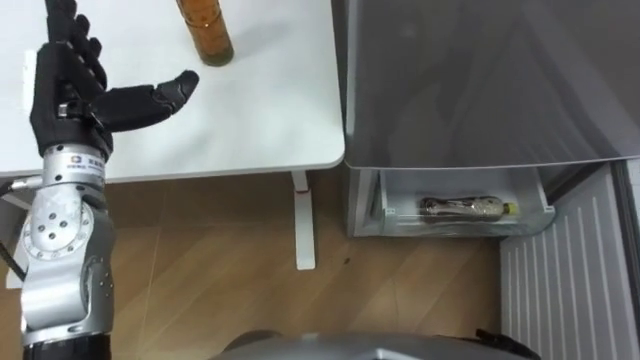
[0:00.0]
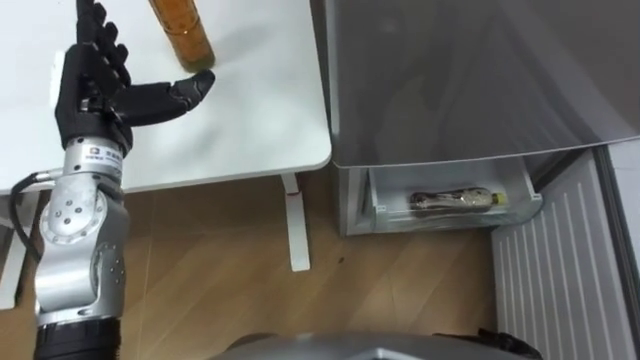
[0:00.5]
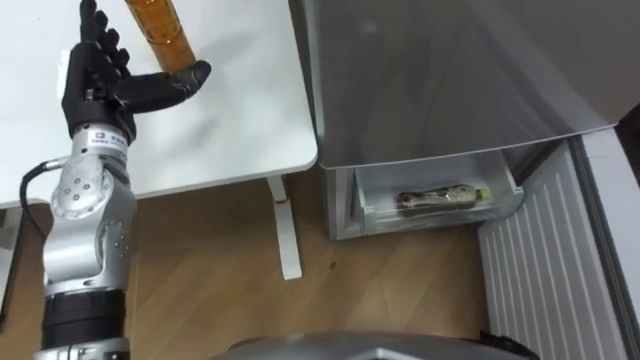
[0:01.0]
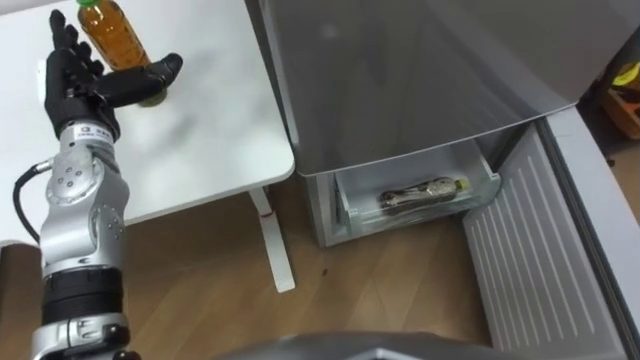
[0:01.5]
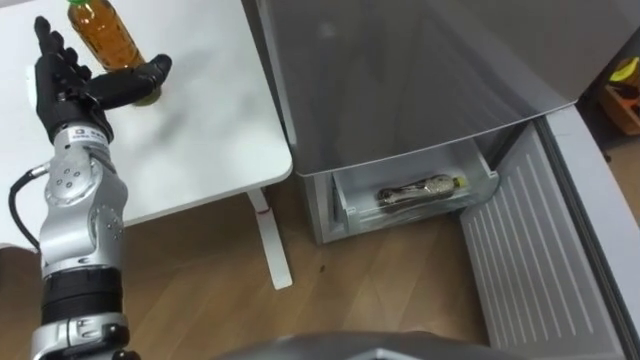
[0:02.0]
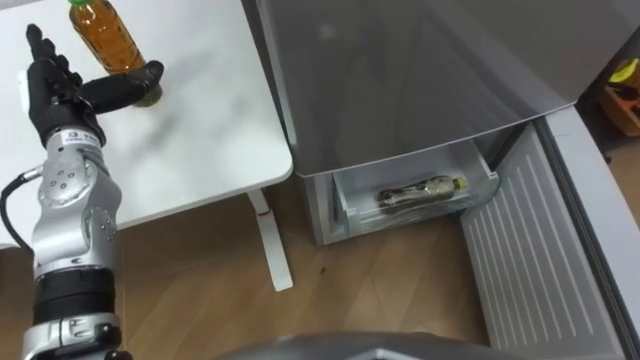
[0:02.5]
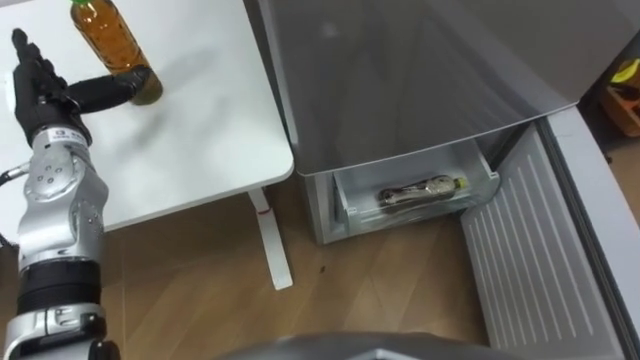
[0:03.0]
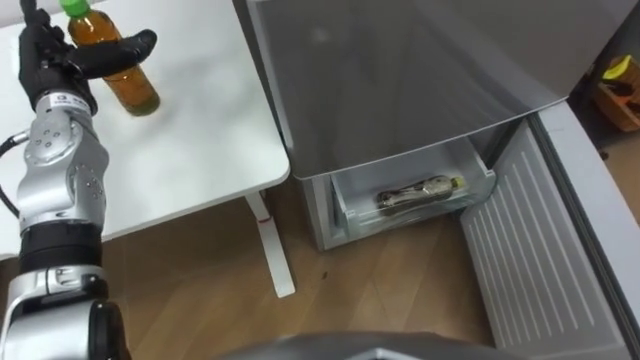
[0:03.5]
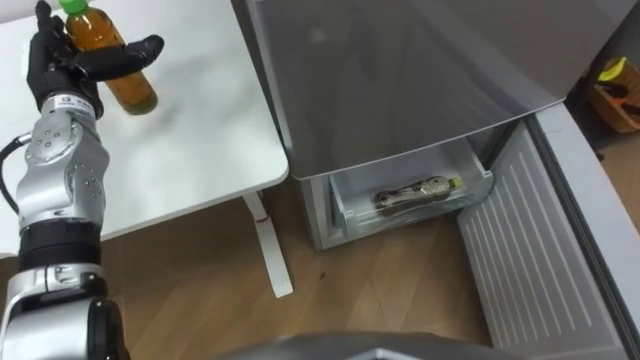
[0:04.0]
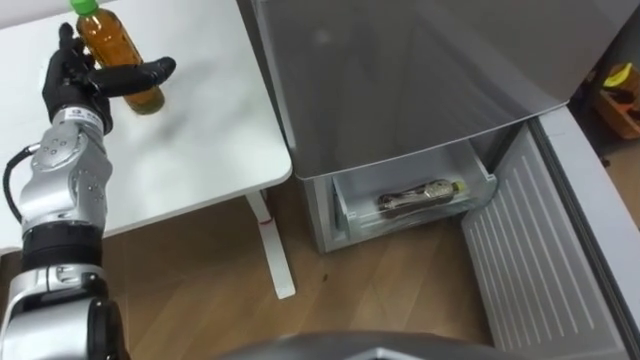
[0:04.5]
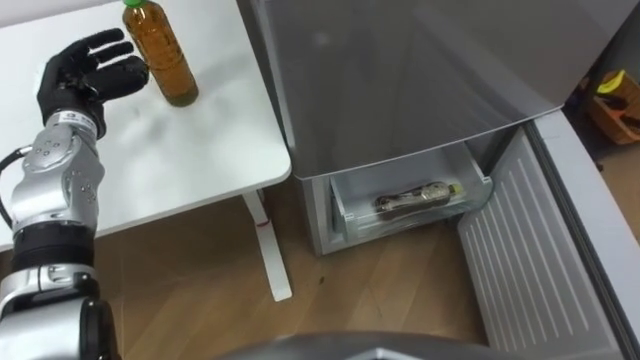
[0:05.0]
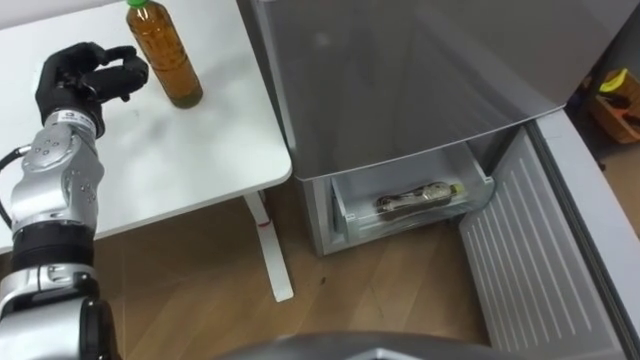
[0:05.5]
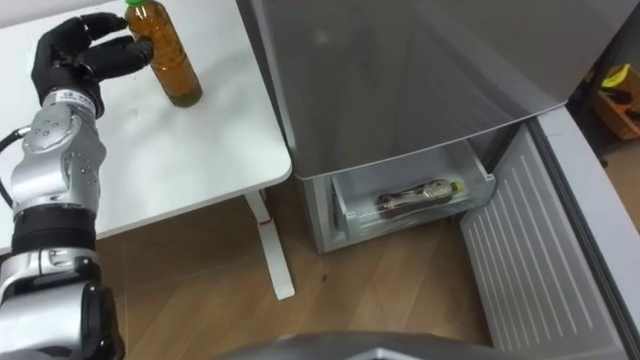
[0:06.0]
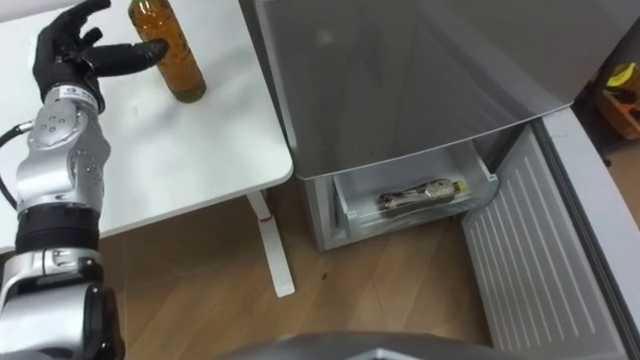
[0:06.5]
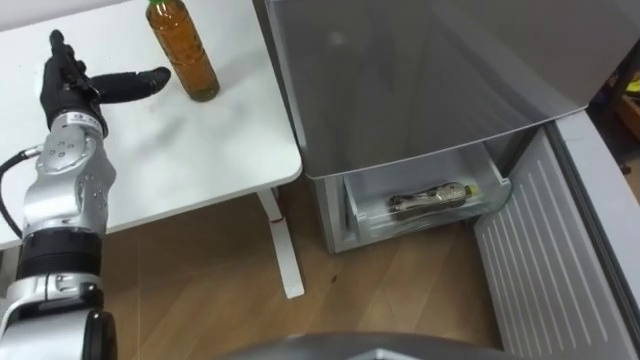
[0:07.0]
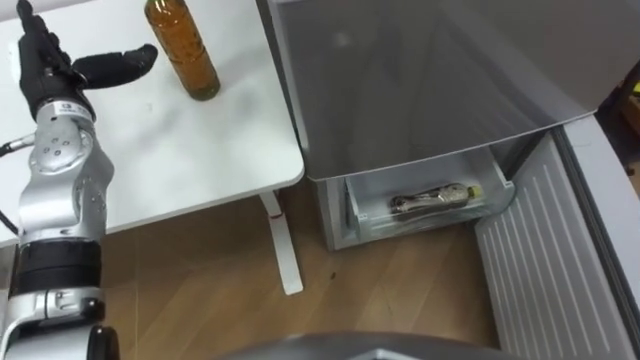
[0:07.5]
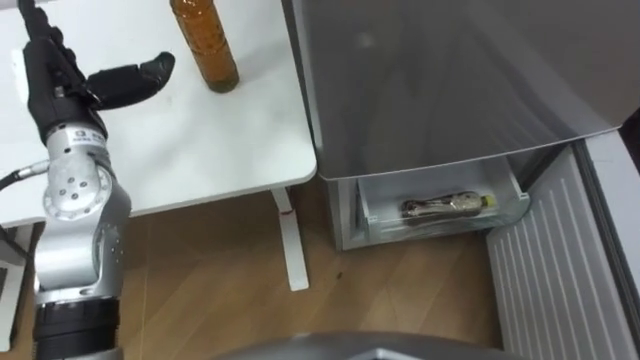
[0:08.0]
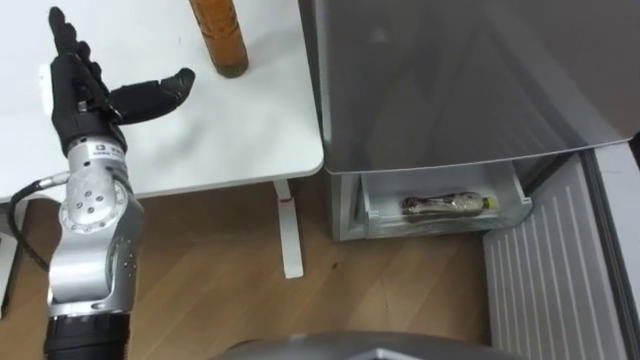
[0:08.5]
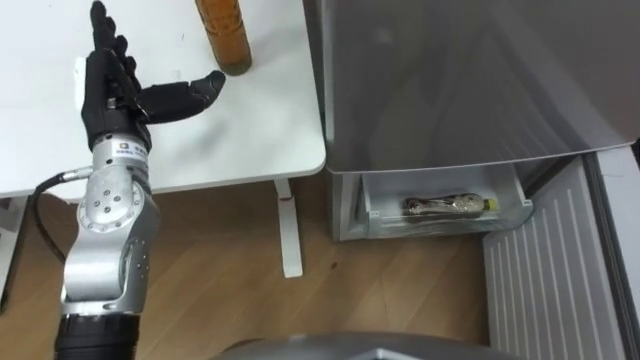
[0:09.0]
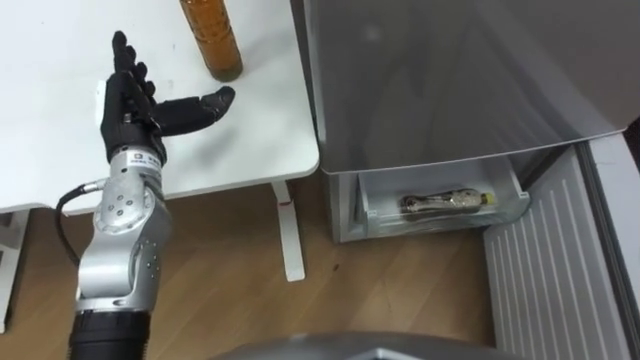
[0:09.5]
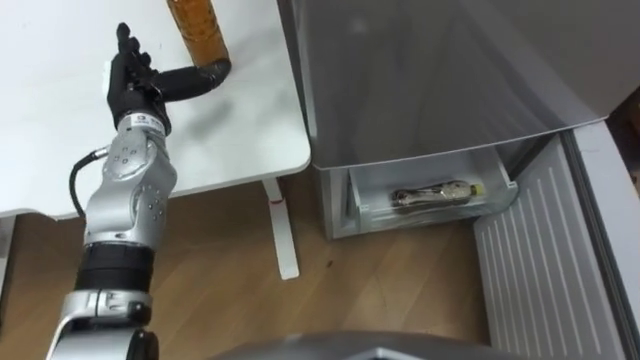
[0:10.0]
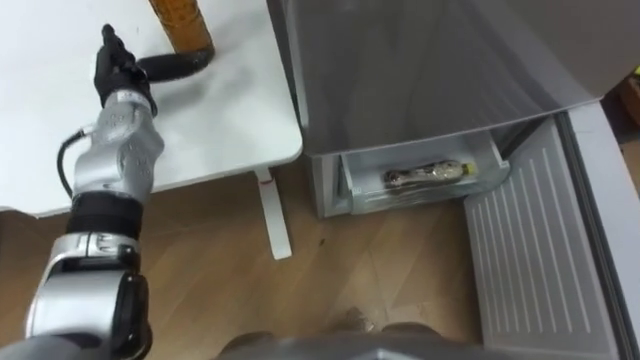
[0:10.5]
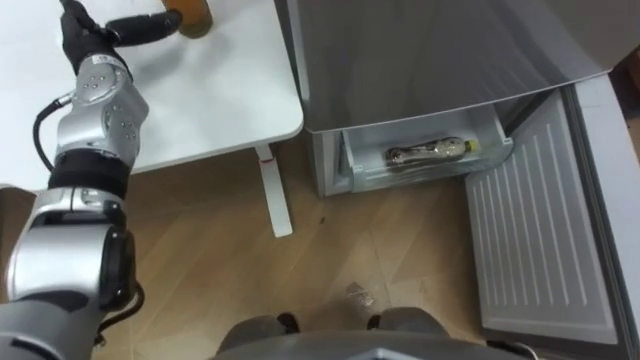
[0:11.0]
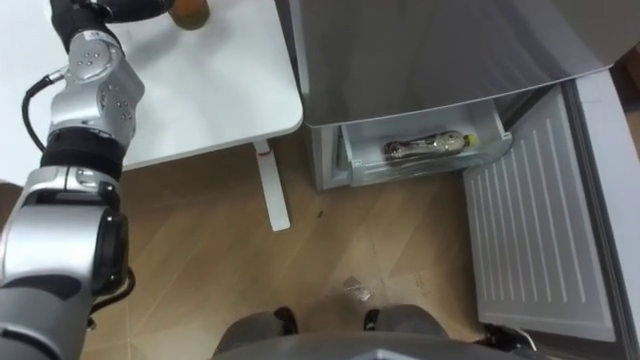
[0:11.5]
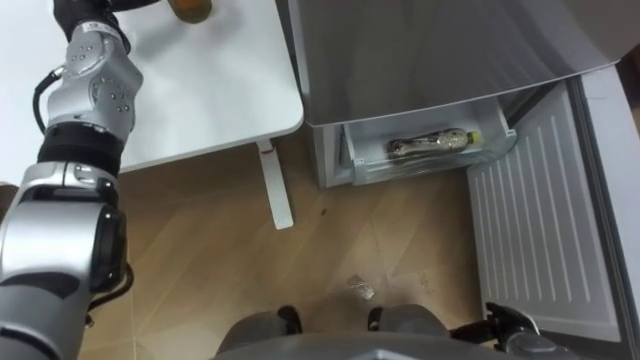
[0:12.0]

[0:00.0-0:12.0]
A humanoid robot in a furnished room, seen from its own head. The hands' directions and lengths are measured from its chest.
Task of the whole recording: Place the drink on the table on the bottom shelf of the refrigerator, then close the drawer and the refrigerator door.
0:00.0 to 0:02.0: The left hand changes place by about 5 cm.
0:04.0 to 0:06.0: The left hand closes its fingers.
0:06.0 to 0:08.0: The left hand goes roughly 5 cm backward, and opens up.
0:08.0 to 0:10.0: The left hand shifts approximately 10 cm downward and to the right.
0:10.0 to 0:12.0: The left hand is displaced forward and upward by approximately 10 cm.

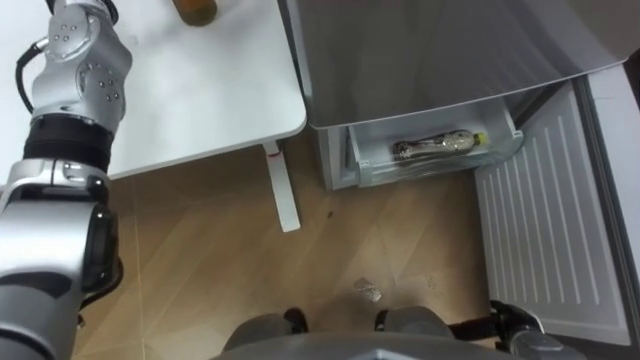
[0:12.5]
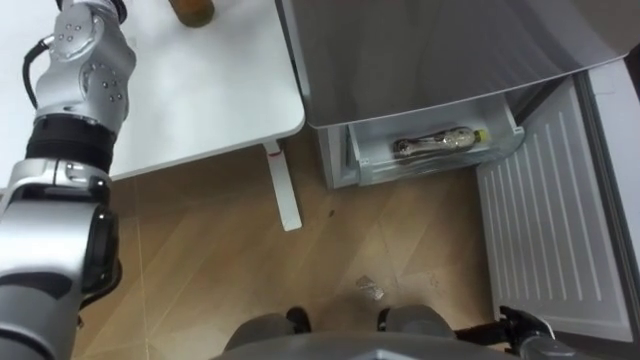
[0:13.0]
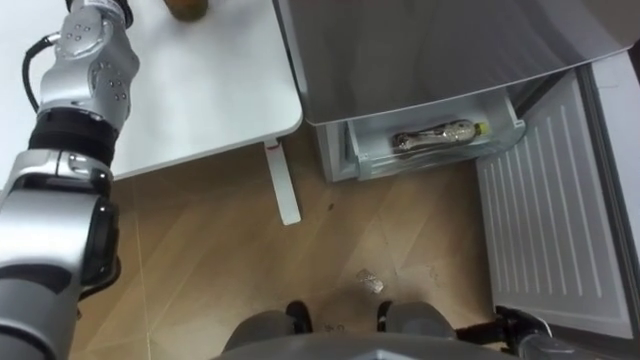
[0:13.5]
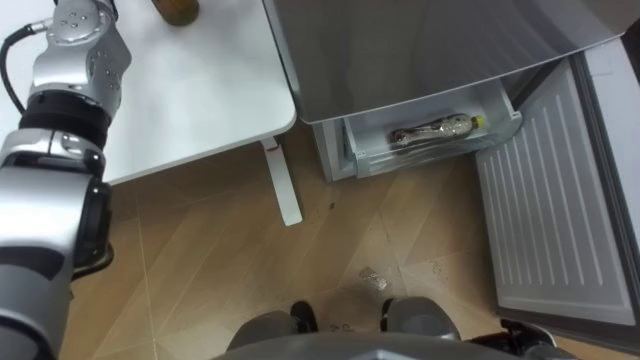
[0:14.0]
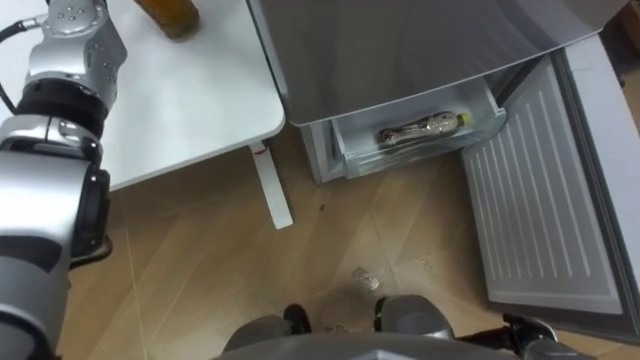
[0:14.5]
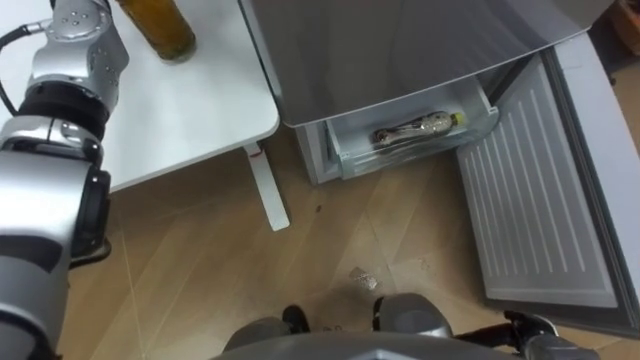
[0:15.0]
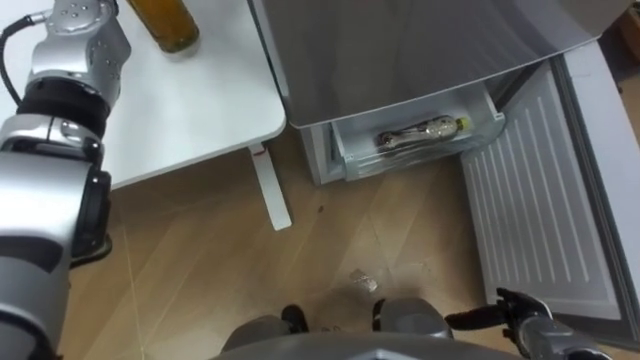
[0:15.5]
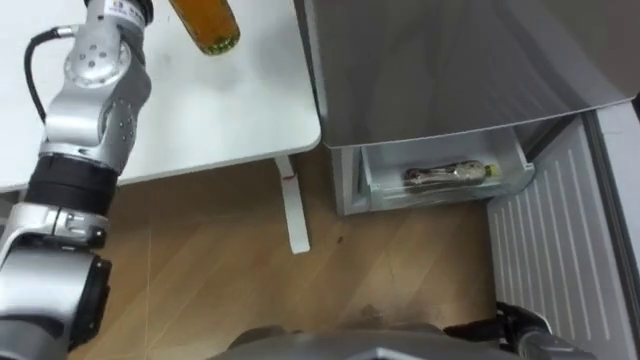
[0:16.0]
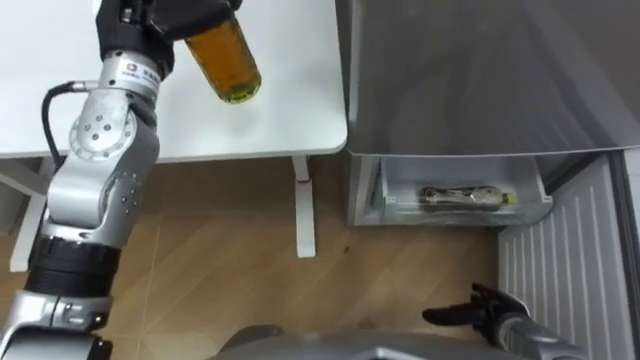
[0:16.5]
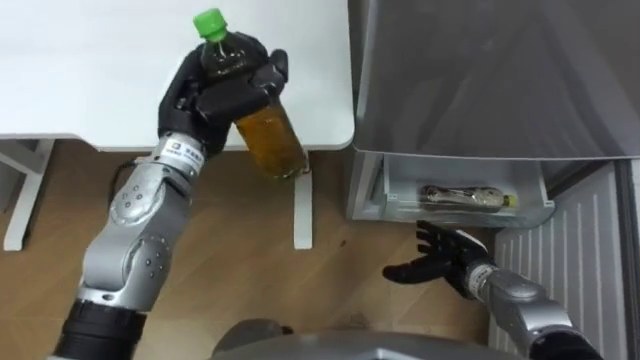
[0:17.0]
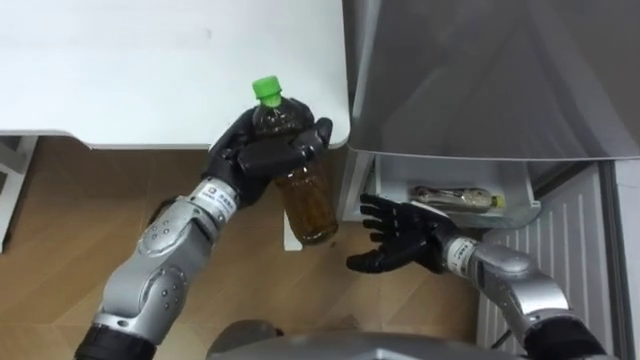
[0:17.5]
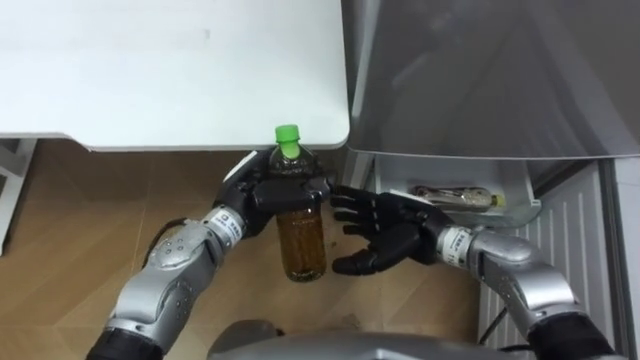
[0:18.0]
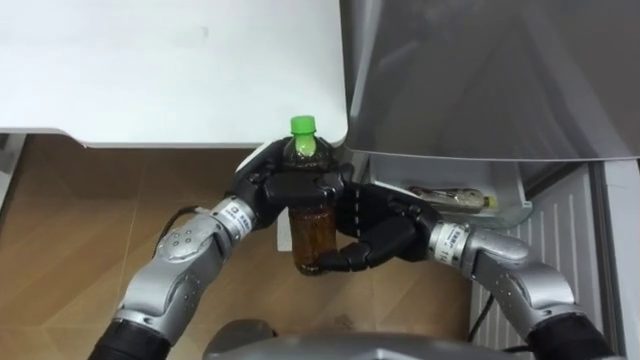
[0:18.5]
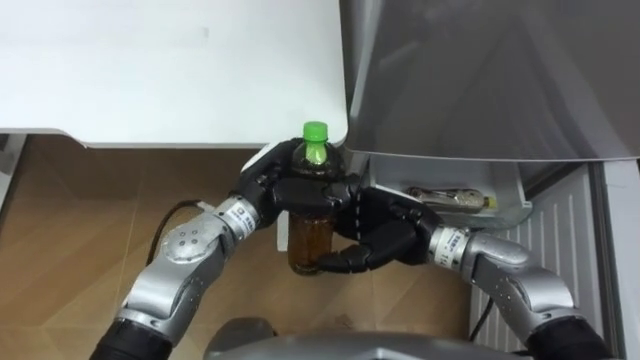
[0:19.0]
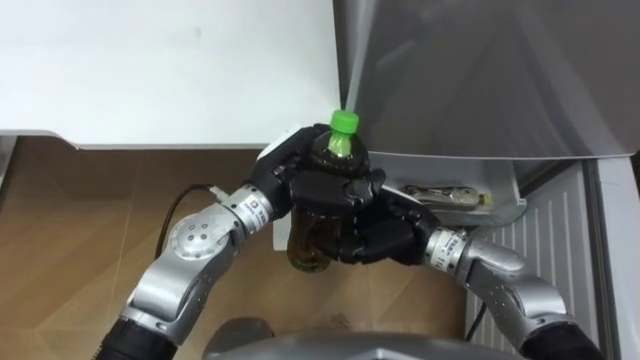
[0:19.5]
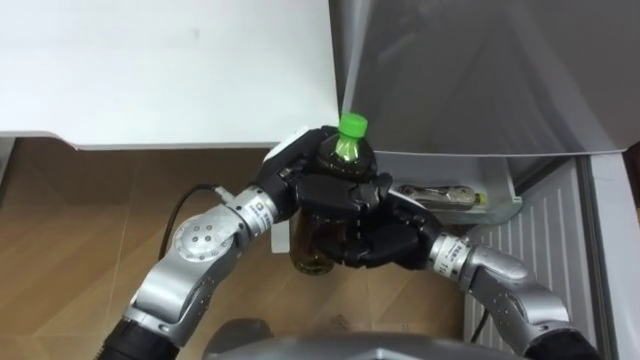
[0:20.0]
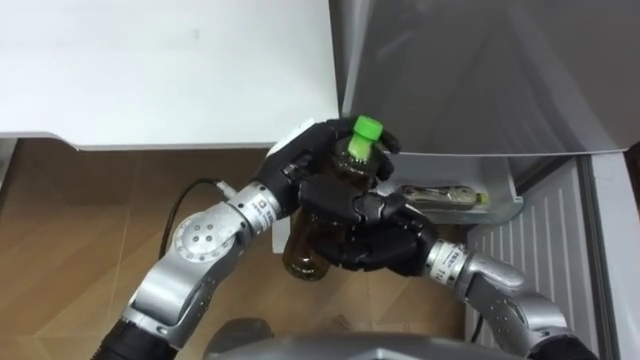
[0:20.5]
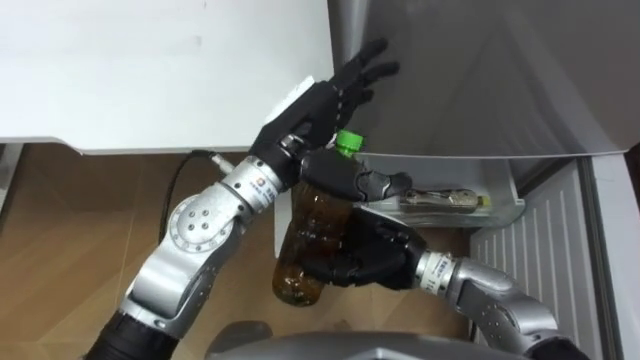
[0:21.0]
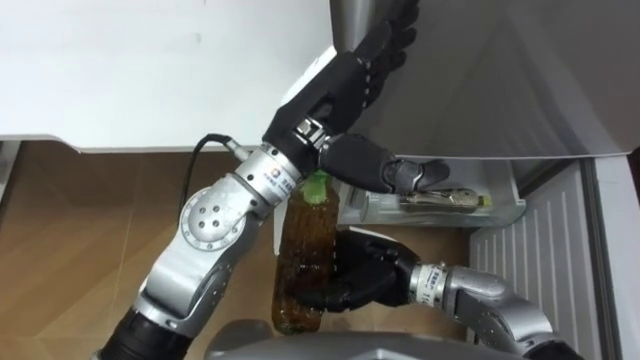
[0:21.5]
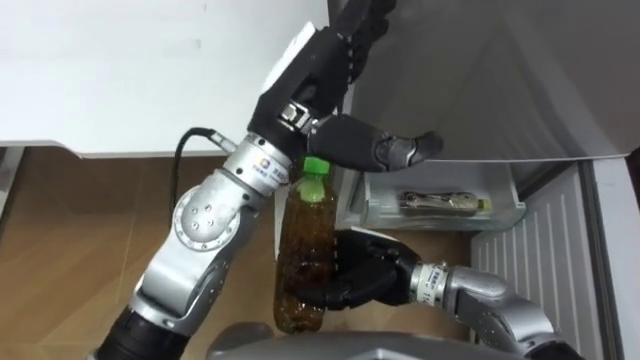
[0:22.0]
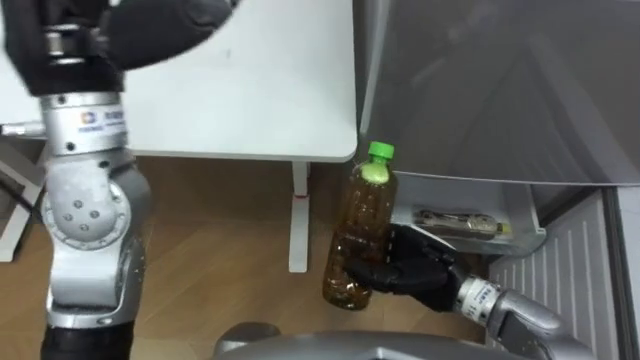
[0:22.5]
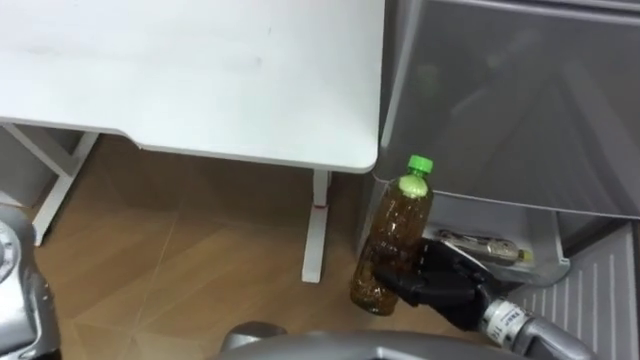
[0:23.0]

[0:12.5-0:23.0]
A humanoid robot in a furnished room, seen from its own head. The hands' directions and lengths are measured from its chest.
Task of the whole recording: Place the drink on the table on the bottom shelf of the refrigerator, then close the drawer and the refrigerator door.
0:14.5 to 0:16.5: The right hand shifts by about 5 cm.
0:16.5 to 0:19.0: The right hand goes approximately 25 cm to the left, upward and forward. The left hand shifts some 20 cm downward, to the right and backward.
0:19.0 to 0:21.0: The left hand goes about 10 cm upward, and opens its fingers. The right hand closes its fingers.
0:21.0 to 0:23.0: The right hand travels to the right by some 10 cm.
